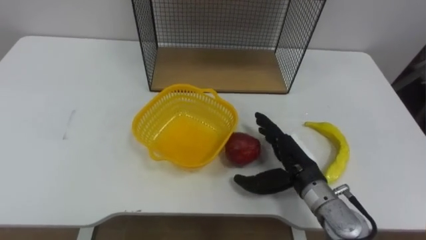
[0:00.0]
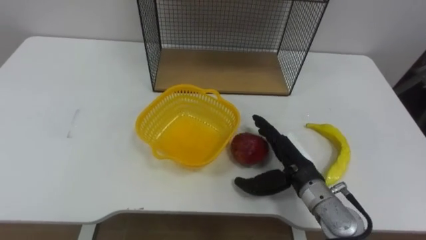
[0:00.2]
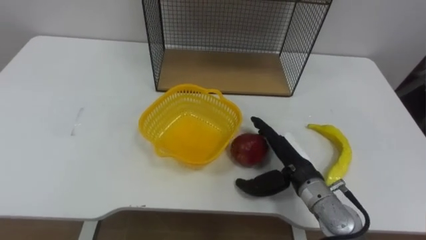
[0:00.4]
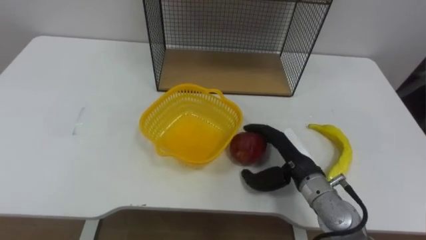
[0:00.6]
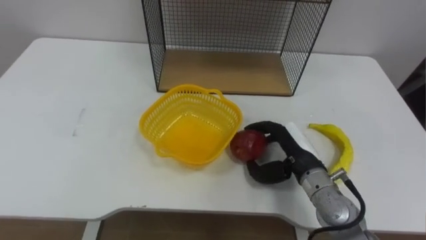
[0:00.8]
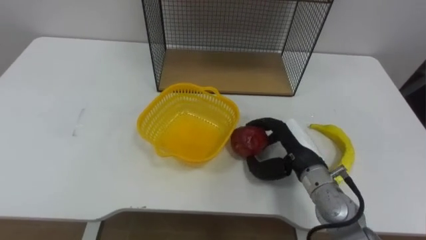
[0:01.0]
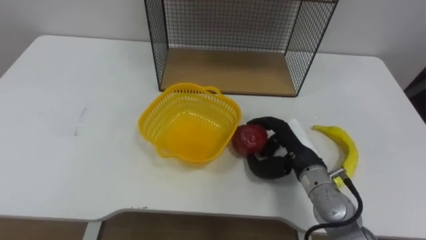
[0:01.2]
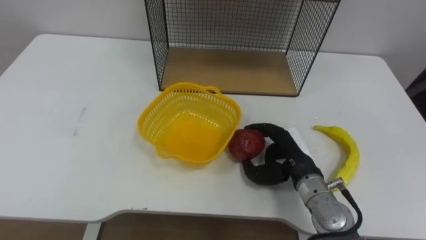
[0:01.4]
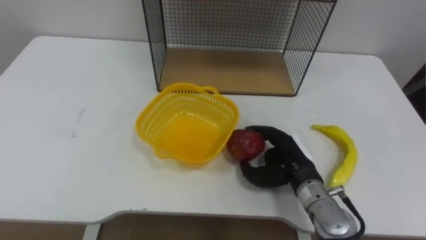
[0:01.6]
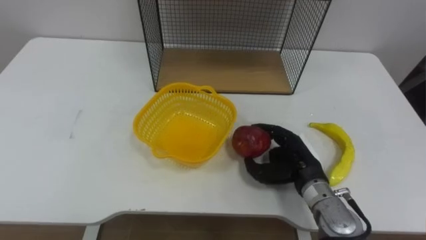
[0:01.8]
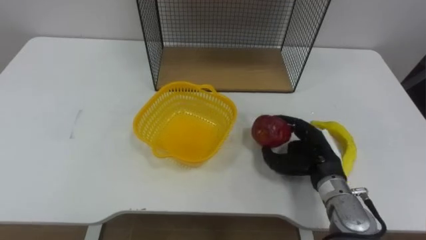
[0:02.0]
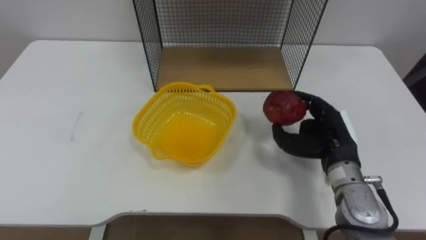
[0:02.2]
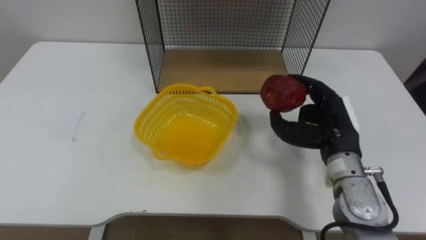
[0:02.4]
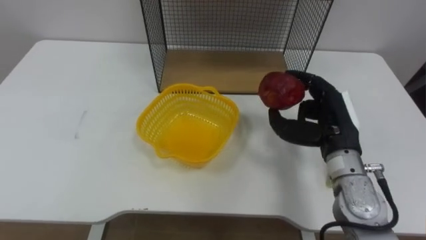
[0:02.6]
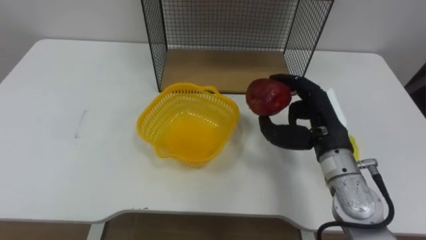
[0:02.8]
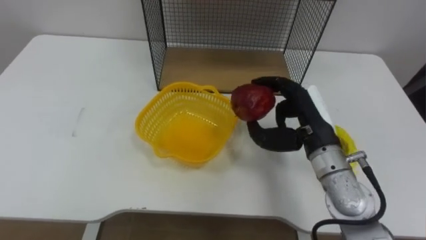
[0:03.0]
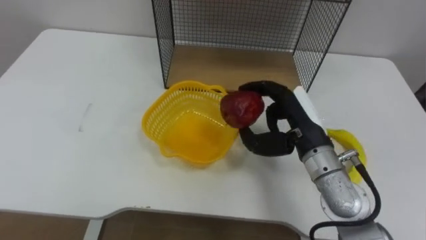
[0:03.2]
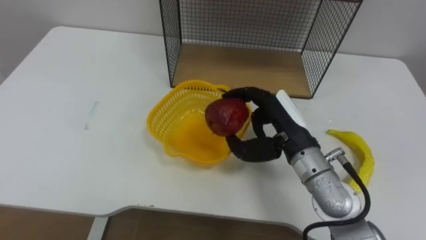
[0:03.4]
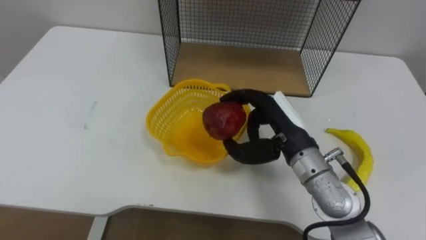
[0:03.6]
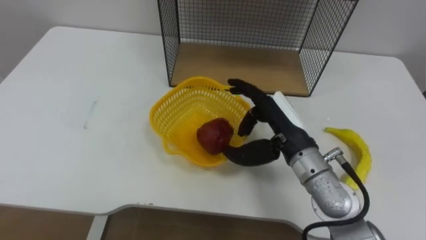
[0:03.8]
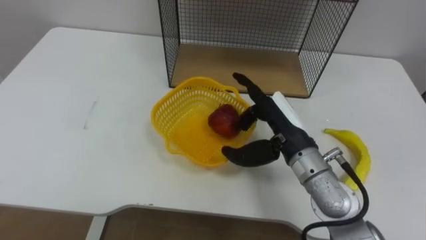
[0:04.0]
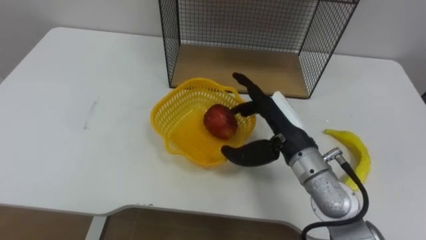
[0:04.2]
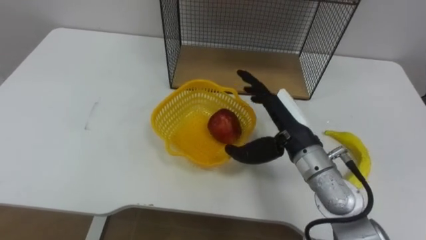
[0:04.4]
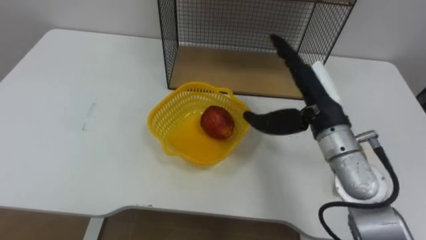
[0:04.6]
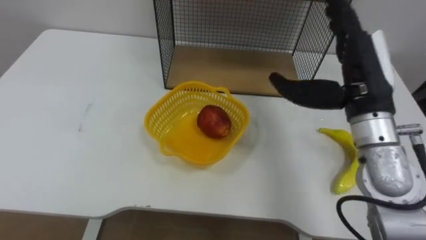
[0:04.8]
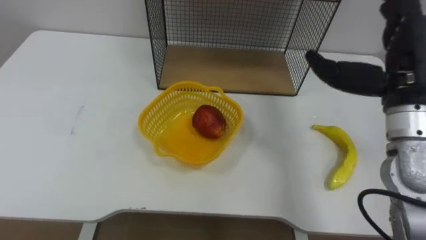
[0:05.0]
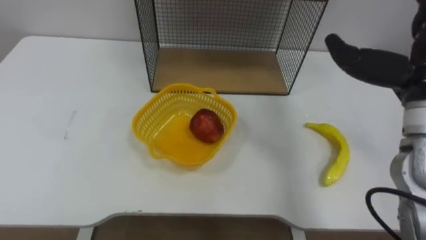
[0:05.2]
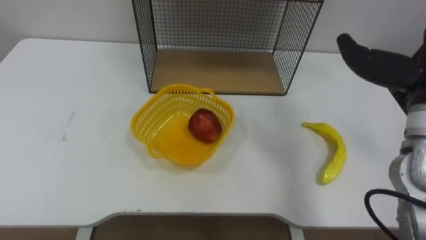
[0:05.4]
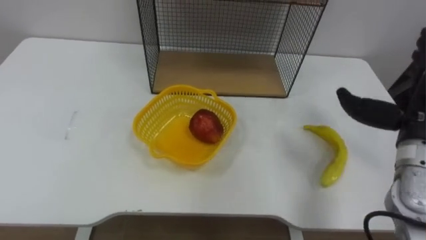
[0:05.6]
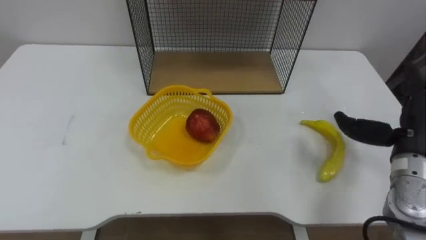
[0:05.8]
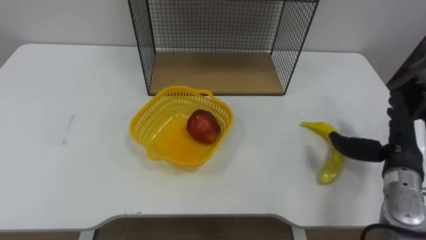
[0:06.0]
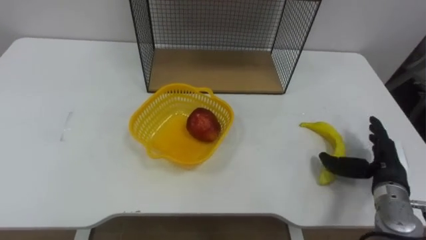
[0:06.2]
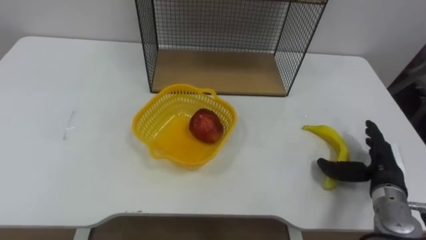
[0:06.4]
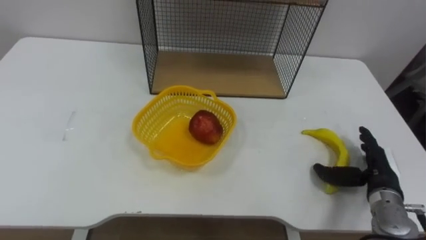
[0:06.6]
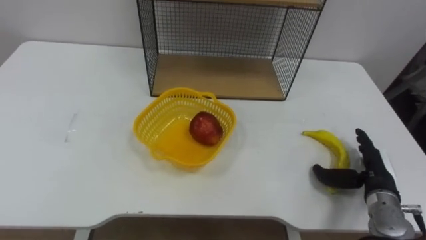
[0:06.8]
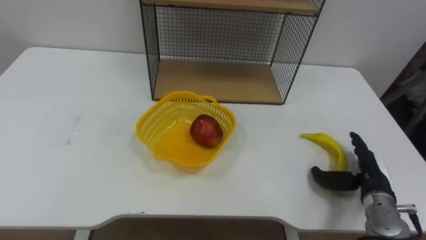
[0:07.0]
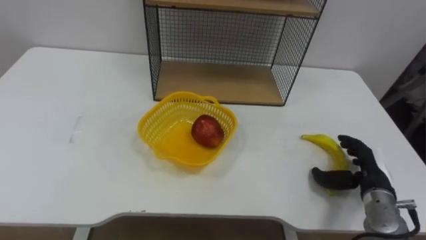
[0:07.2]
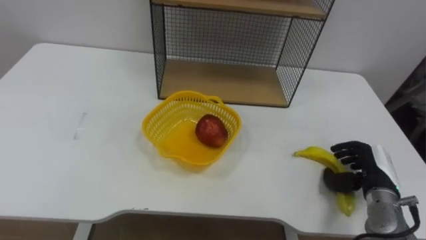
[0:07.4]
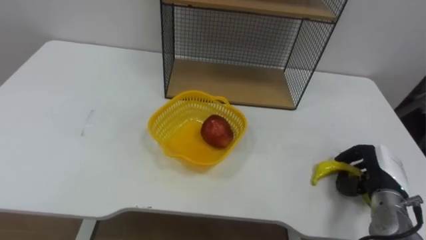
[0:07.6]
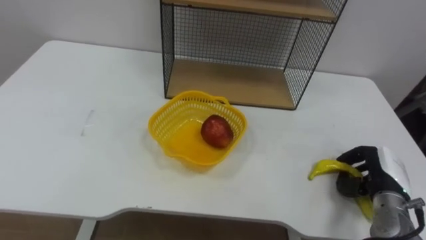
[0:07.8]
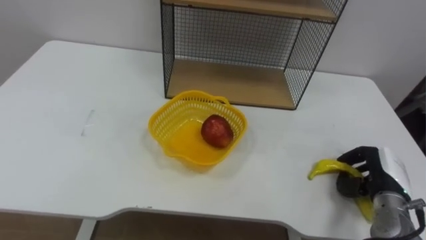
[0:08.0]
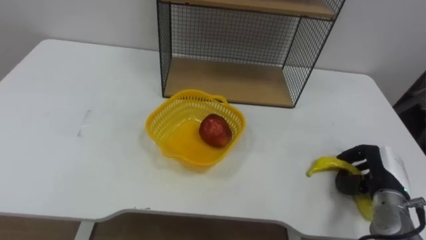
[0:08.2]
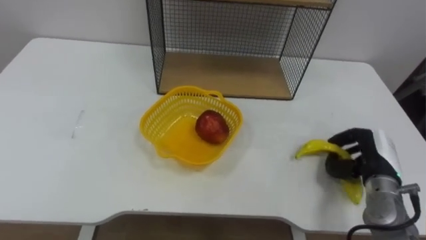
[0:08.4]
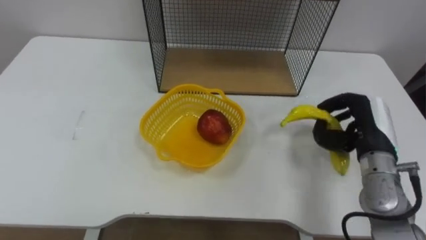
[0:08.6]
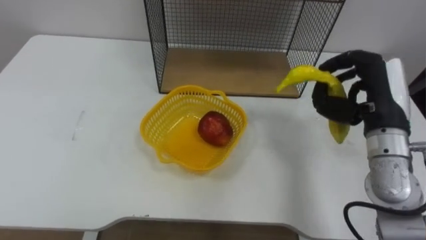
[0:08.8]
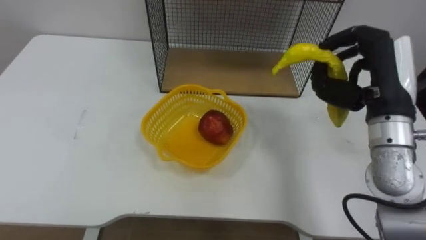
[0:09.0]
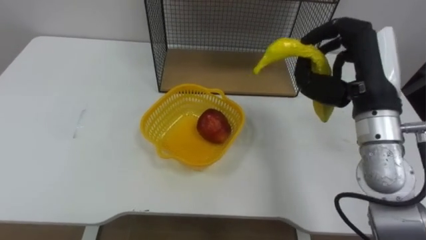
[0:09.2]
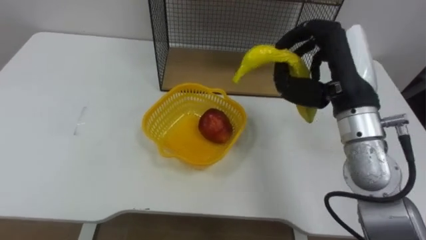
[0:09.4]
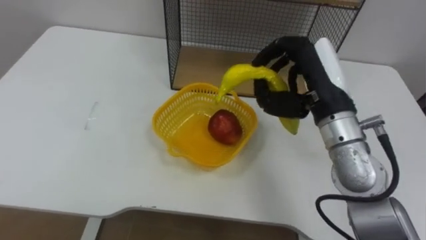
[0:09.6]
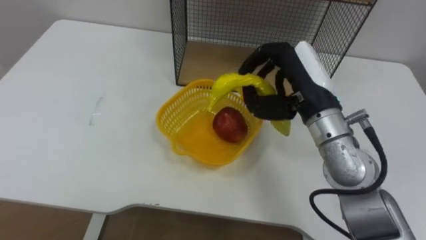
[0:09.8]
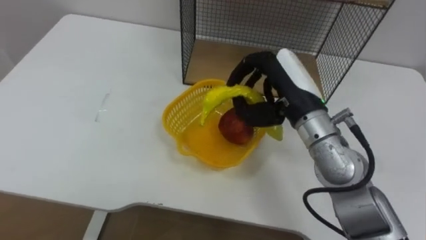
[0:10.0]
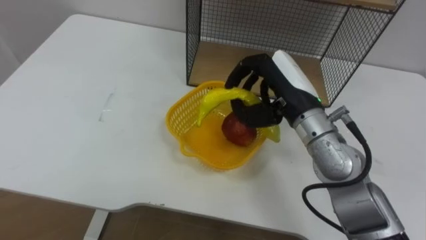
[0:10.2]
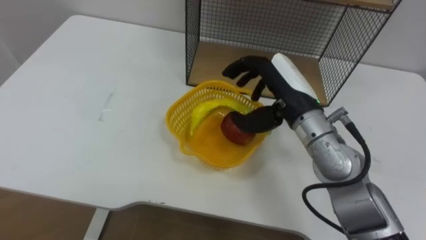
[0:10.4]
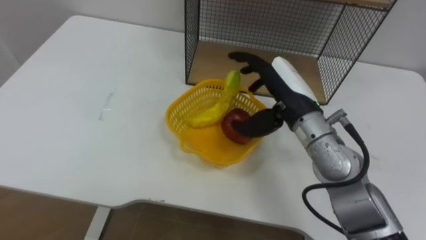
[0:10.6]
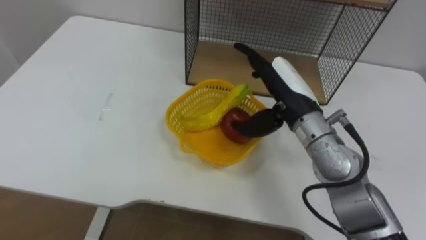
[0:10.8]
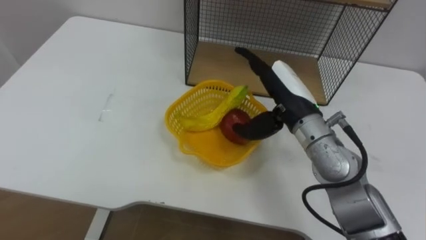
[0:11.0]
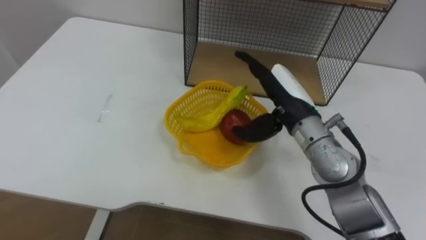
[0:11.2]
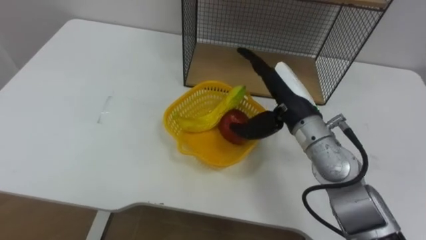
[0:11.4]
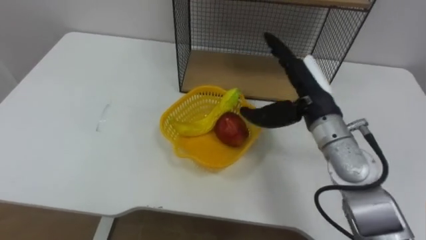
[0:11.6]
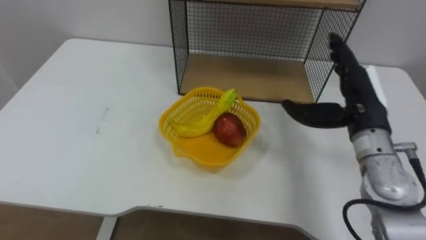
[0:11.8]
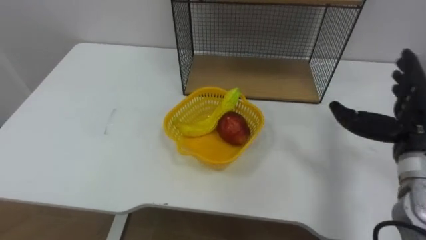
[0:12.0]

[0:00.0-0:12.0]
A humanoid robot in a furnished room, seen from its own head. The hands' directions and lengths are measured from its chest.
Task of the whole recording: Put the fruit on the table into the basket, then place the basket on the shelf.
0:00.0 to 0:01.6: The right hand closes up.
0:01.6 to 0:03.0: The right hand travels upward by roughly 10 cm.
0:03.0 to 0:04.4: The right hand opens its fingers.
0:06.0 to 0:07.6: The right hand moves downward, approximately 10 cm, and closes.
0:07.6 to 0:09.0: The right hand travels upward by about 20 cm.
0:09.0 to 0:10.4: The right hand shifts approximately 10 cm to the left.
0:10.4 to 0:12.0: The right hand goes about 20 cm to the right, and opens its fingers.

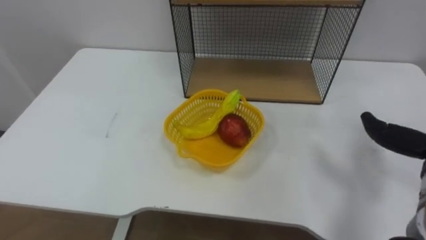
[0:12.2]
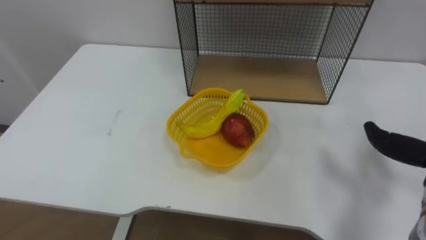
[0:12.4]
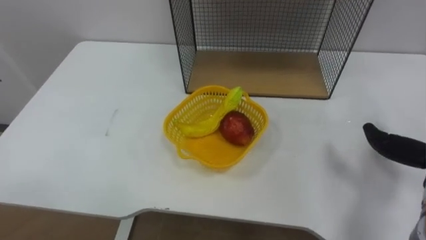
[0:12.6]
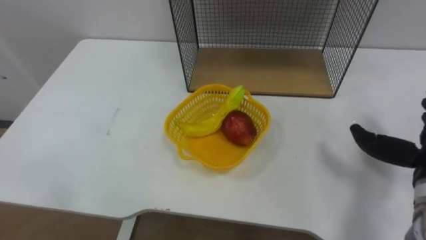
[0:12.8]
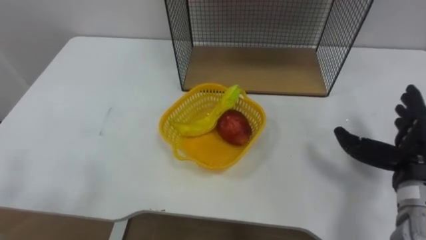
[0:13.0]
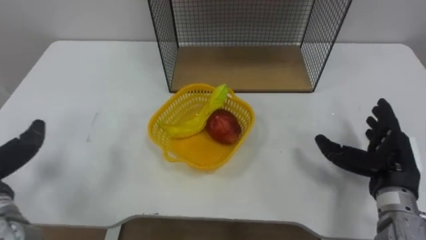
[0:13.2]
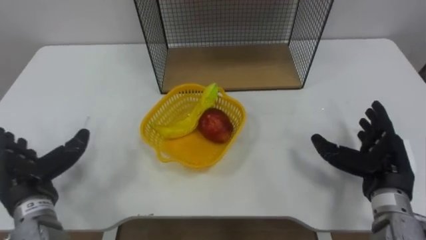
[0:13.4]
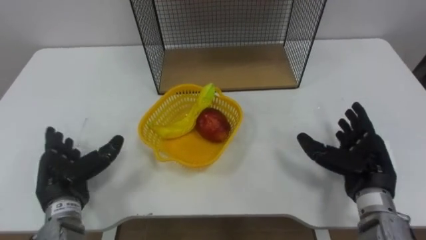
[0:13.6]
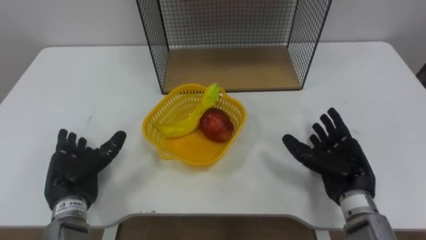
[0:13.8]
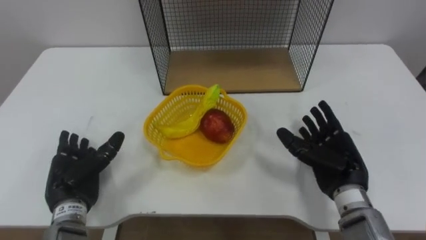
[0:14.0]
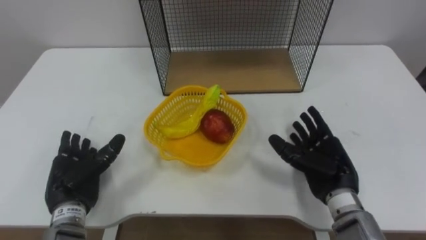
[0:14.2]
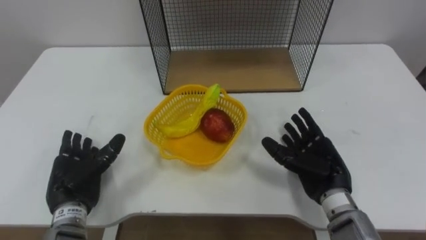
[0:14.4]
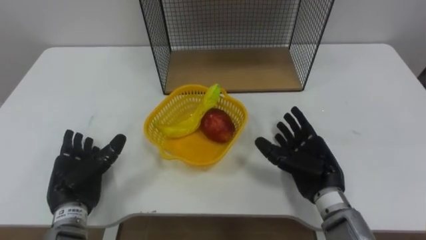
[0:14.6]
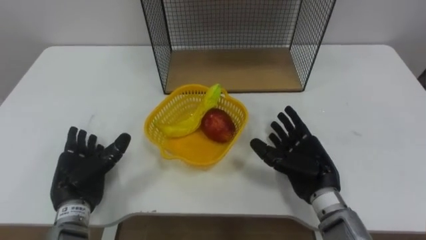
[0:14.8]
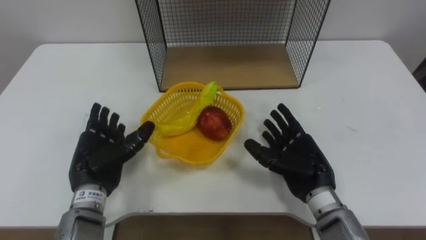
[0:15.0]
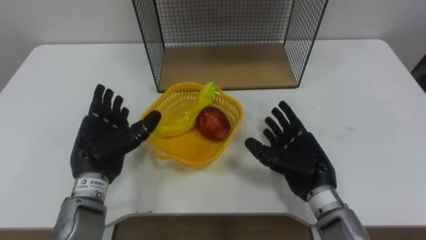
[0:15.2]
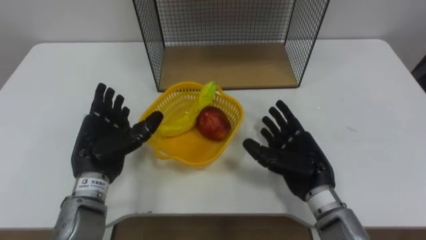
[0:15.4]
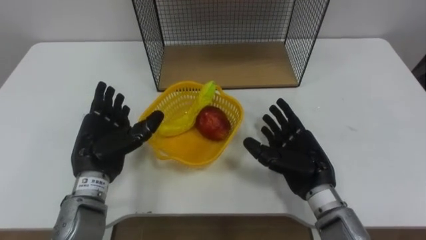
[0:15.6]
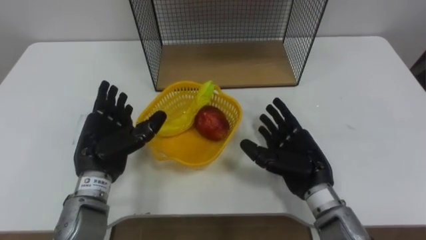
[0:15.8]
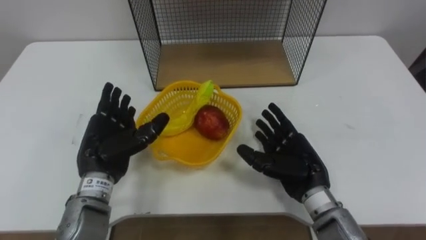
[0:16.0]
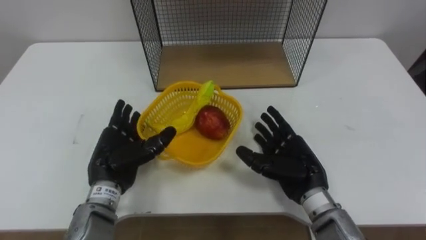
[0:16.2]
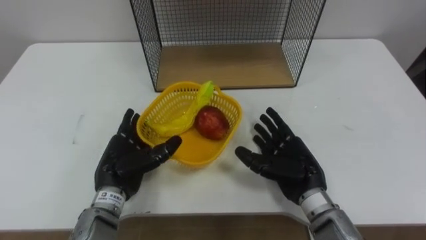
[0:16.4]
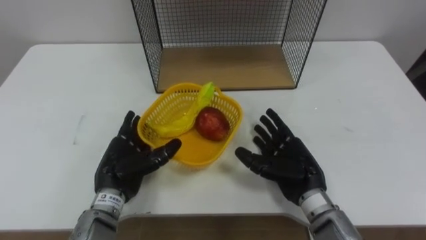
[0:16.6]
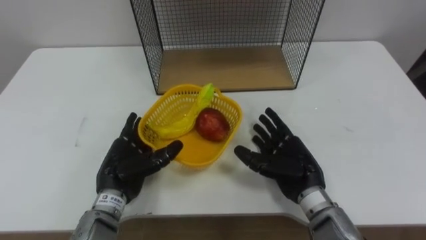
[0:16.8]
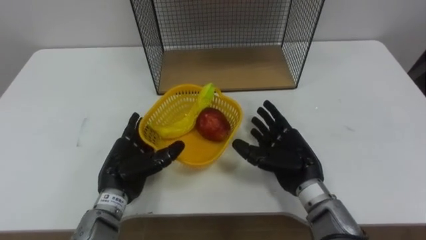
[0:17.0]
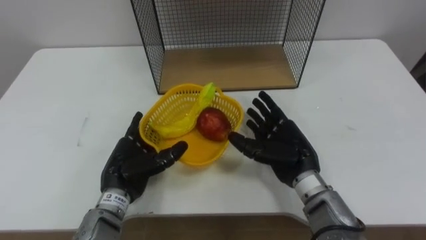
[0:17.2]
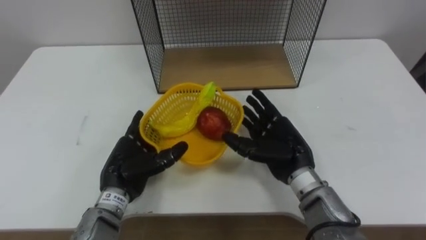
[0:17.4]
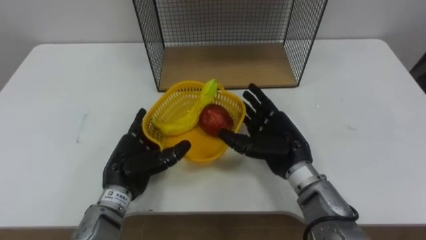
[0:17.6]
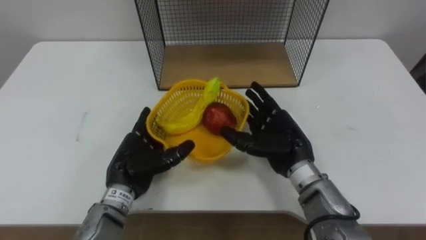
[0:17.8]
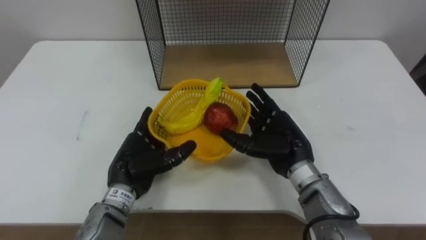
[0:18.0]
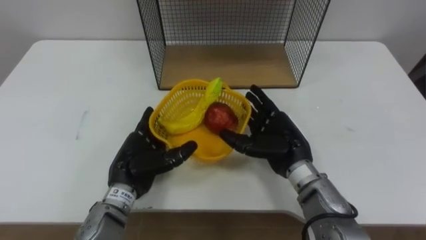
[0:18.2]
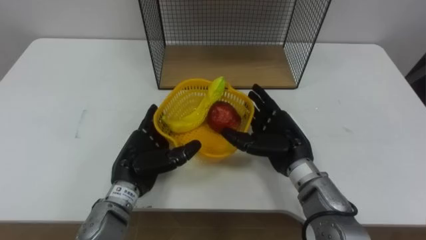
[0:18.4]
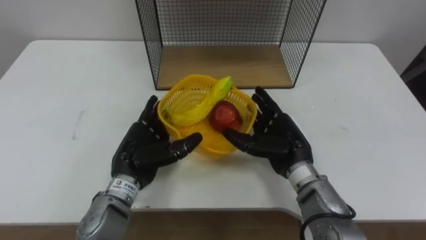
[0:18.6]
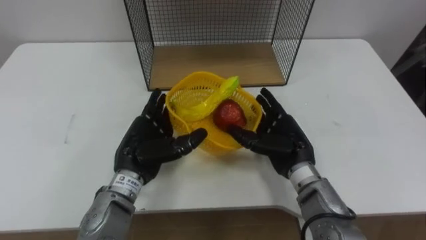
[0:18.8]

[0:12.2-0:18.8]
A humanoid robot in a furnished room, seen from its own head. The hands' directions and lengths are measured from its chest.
Task of the whole recording: Put the fruit on the table into the basket, then place the basket on the shelf.
0:13.8 to 0:15.4: The right hand moves to the left, approximately 5 cm, while the left hand moves upward and to the right, roughly 10 cm.
0:15.4 to 0:17.2: The left hand shifts roughly 5 cm downward.
0:17.2 to 0:18.8: The left hand shifts by some 5 cm.
